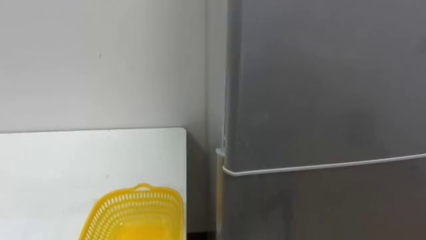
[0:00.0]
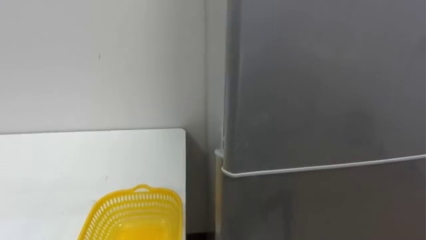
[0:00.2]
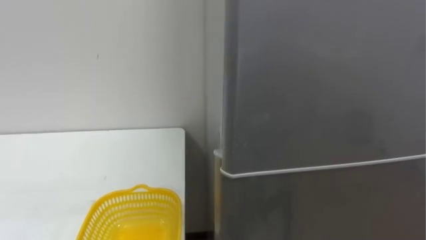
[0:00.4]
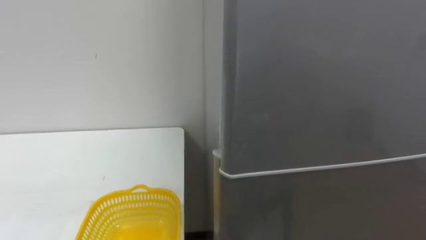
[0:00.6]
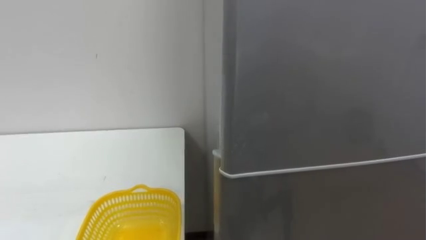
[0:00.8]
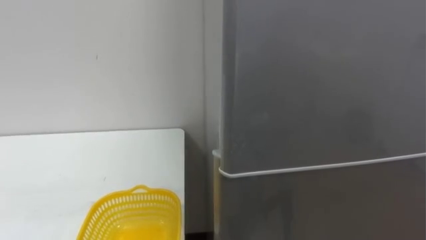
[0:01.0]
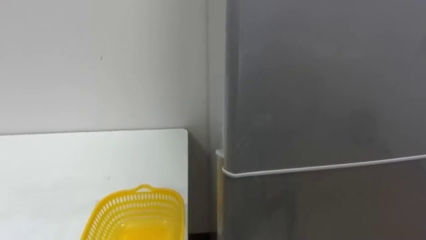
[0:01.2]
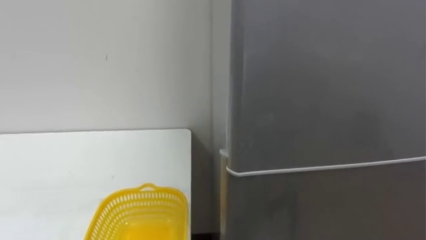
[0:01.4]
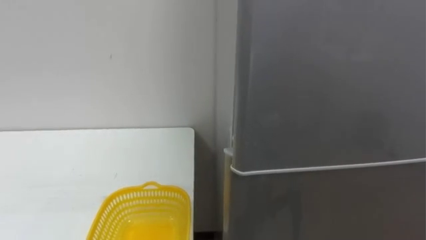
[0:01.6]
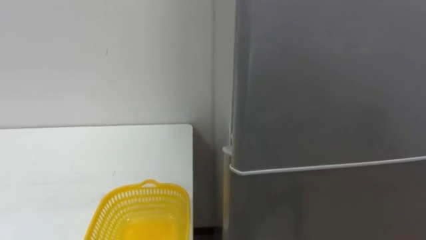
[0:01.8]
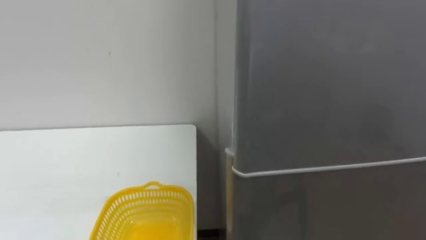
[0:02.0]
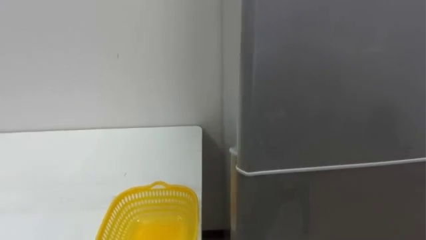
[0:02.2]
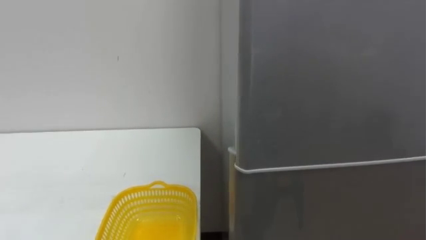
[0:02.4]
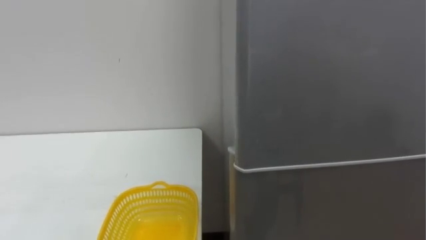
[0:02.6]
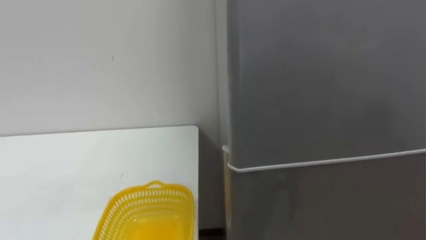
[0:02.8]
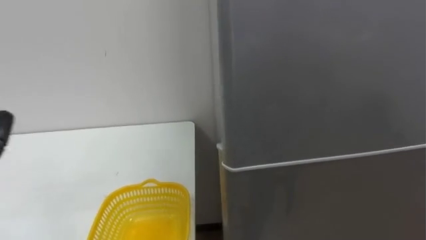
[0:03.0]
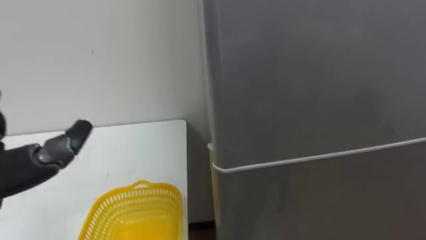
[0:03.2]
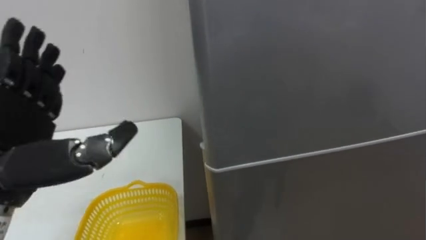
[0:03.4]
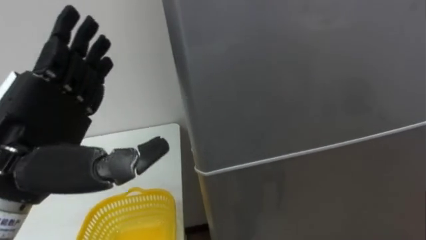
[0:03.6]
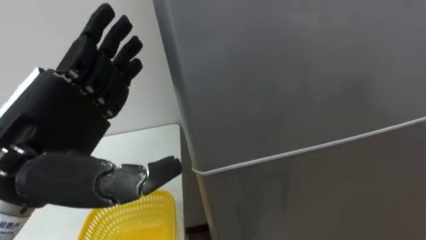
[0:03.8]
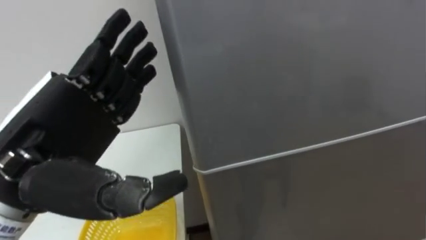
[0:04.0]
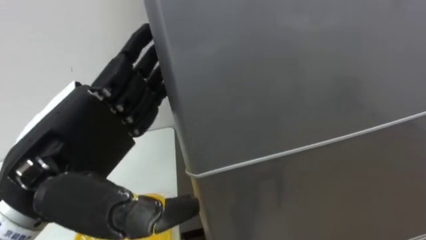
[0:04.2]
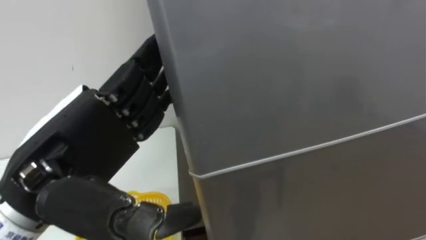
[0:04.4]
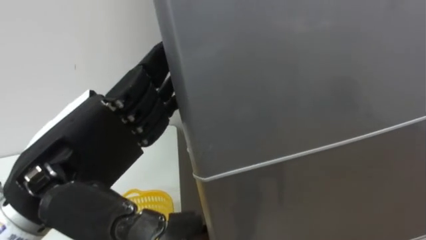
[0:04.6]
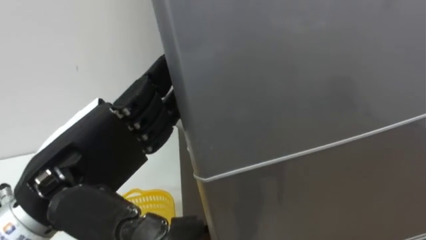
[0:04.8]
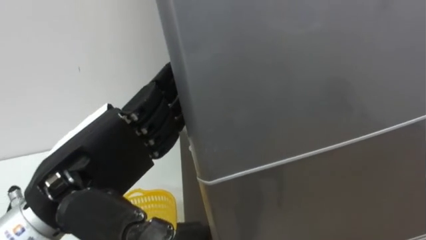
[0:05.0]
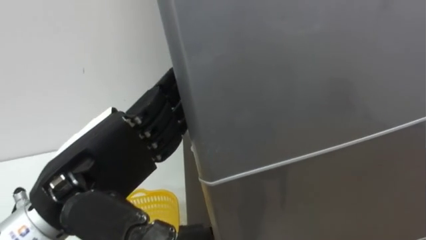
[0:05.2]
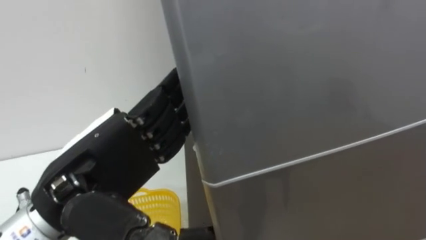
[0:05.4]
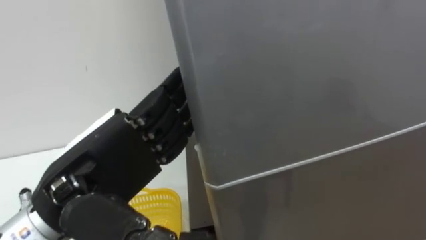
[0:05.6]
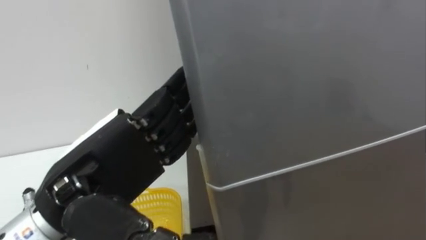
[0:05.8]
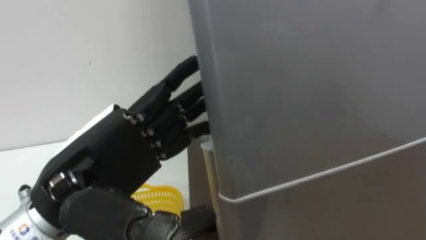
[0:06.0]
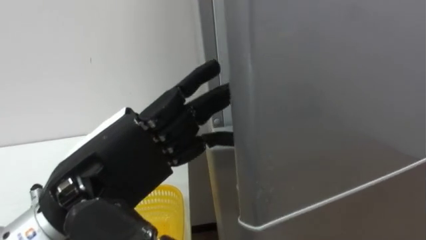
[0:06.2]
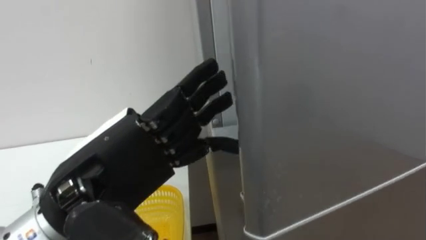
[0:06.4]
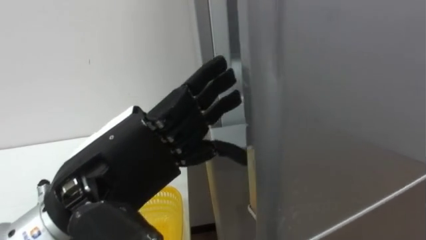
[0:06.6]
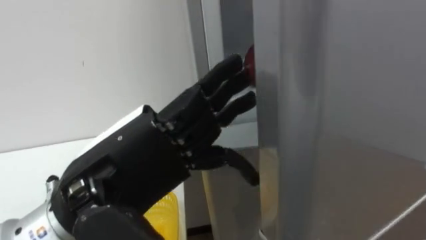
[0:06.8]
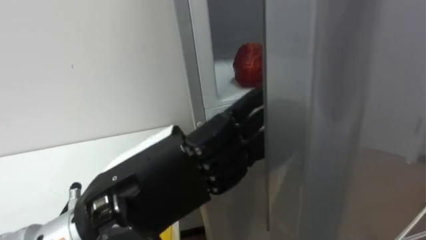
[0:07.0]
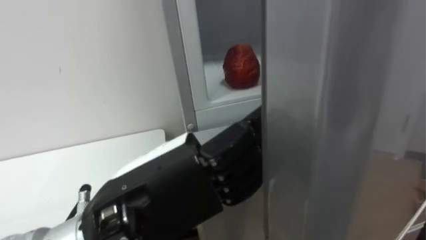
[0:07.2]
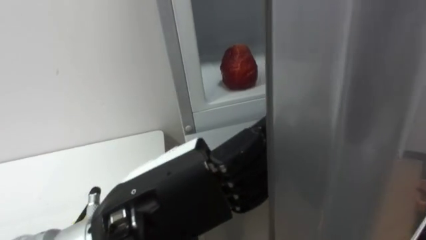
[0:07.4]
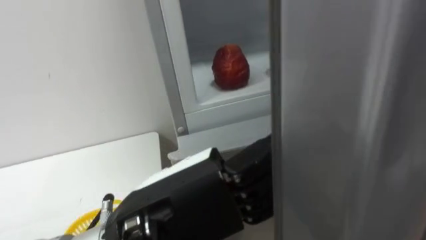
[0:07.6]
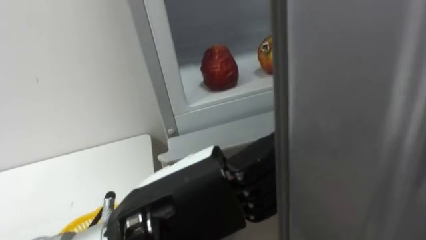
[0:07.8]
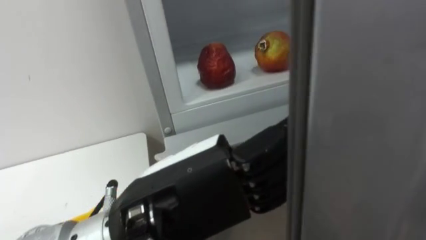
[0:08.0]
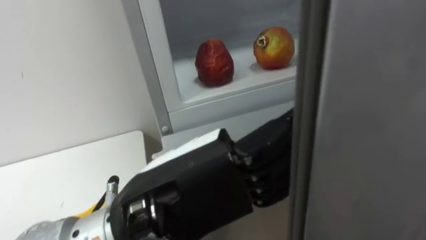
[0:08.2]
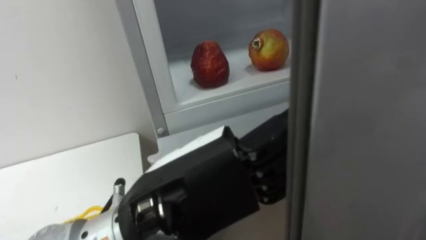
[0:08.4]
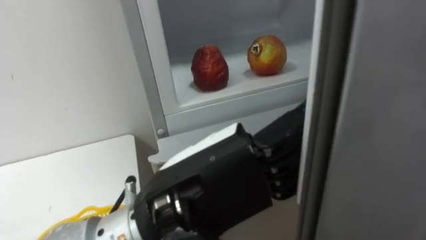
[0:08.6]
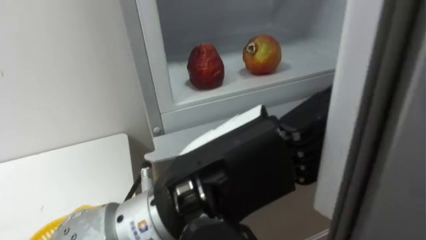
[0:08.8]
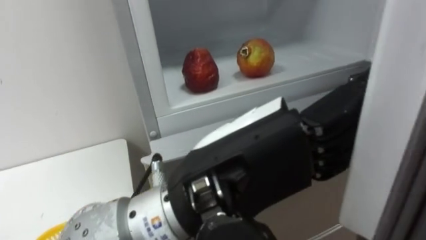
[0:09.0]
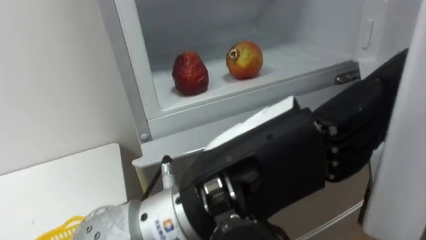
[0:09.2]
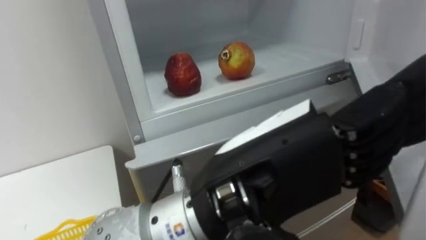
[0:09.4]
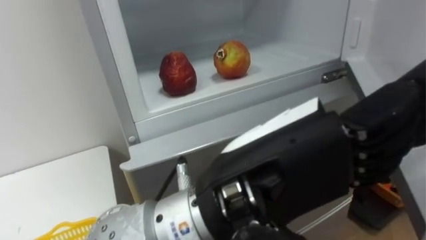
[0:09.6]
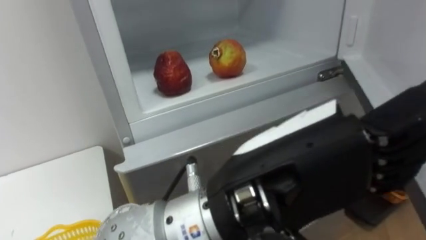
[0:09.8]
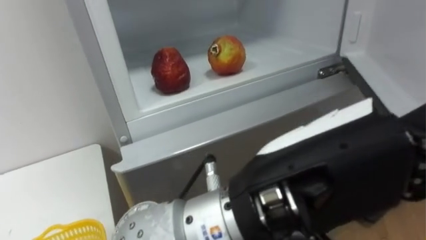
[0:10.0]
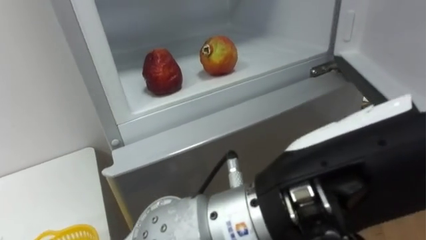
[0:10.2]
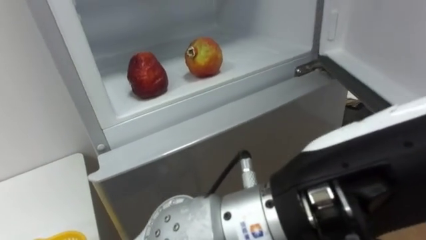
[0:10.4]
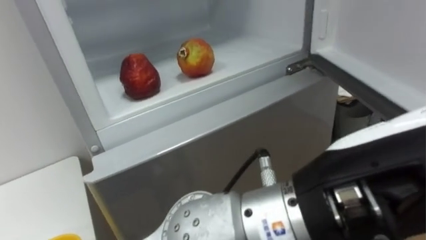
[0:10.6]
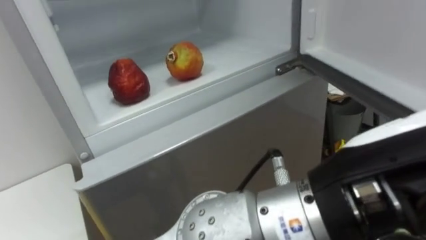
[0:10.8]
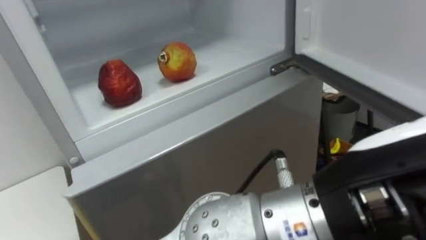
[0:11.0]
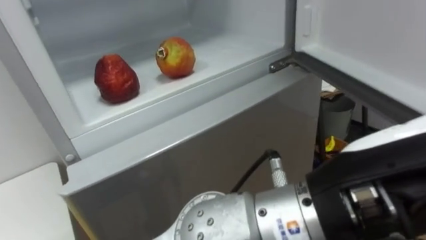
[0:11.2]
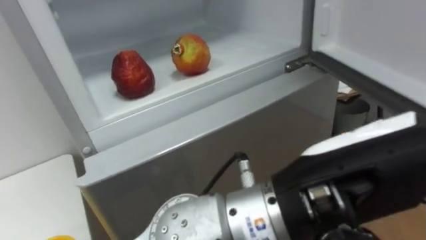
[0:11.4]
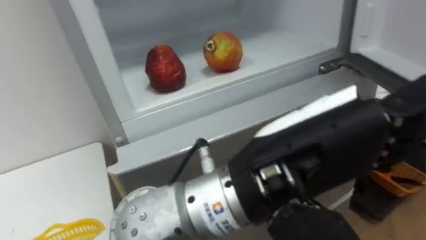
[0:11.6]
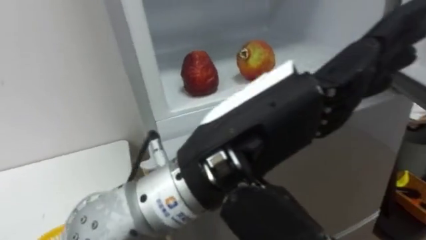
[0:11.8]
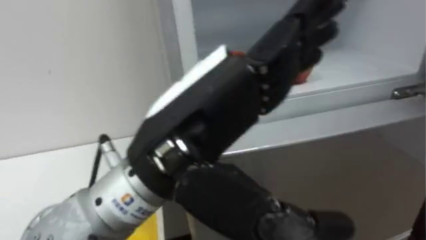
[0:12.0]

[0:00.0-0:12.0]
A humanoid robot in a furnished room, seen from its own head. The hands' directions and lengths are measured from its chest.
Task of the whole recording: Open the refrigerator door, take out the apple and the pomegranate, place them in the fruit basket on the left, and close the refrigerator door.
0:06.0 to 0:07.6: The left hand shifts some 10 cm to the right.
0:07.6 to 0:09.0: The left hand goes approximately 5 cm to the right.
0:09.0 to 0:10.4: The left hand heads to the right, covering some 5 cm.
0:10.4 to 0:12.0: The left hand moves to the left and forward, approximately 10 cm.

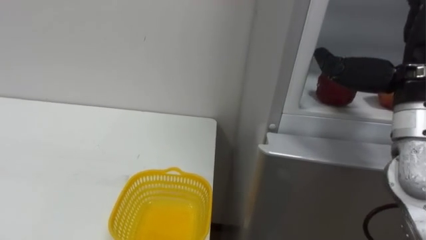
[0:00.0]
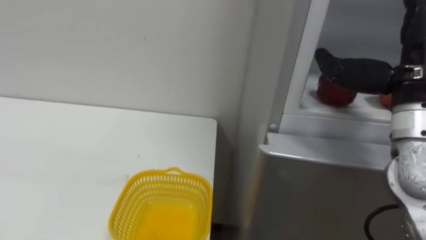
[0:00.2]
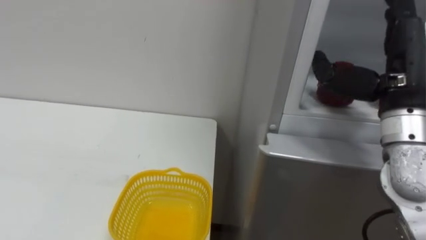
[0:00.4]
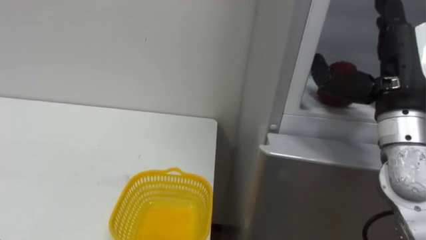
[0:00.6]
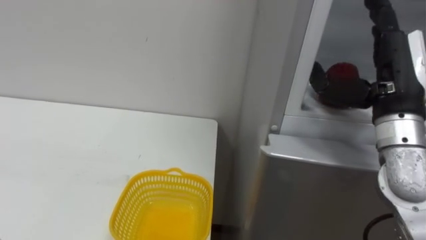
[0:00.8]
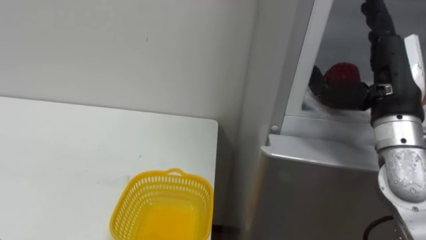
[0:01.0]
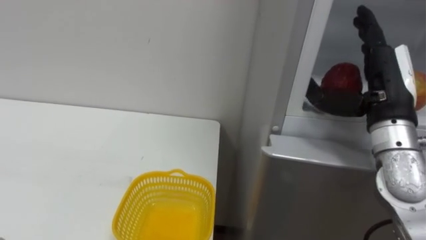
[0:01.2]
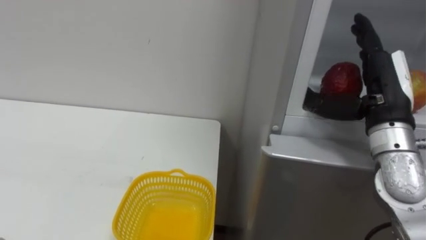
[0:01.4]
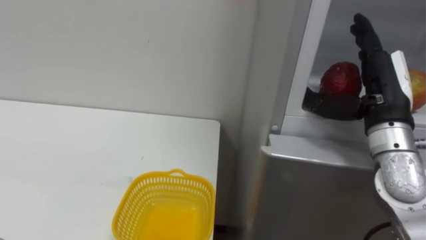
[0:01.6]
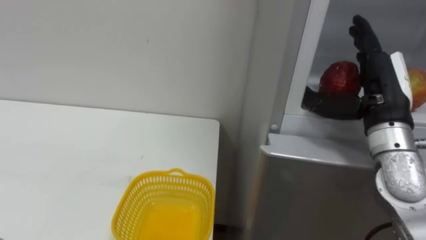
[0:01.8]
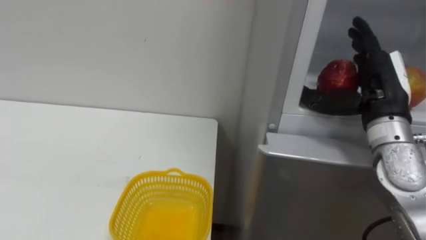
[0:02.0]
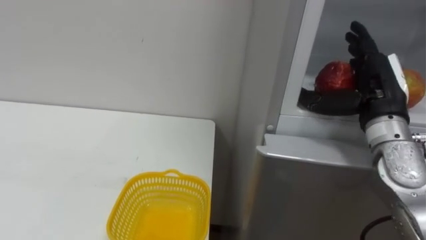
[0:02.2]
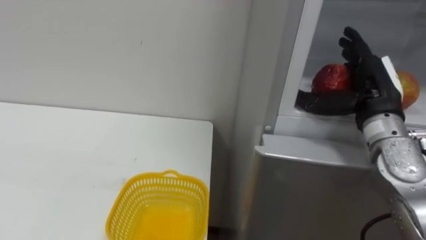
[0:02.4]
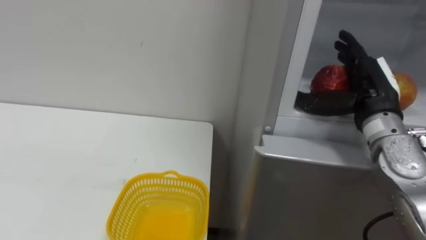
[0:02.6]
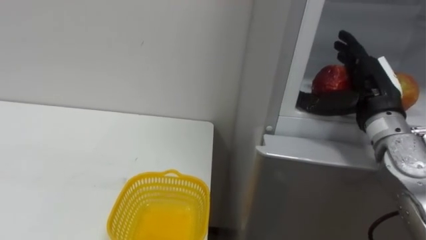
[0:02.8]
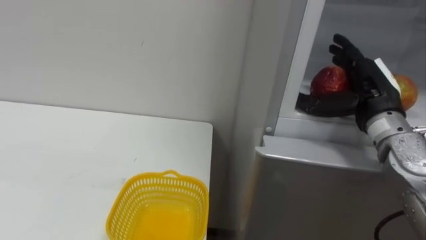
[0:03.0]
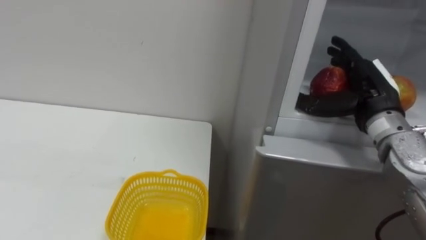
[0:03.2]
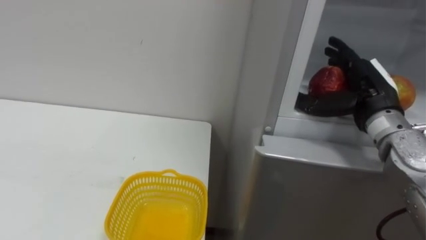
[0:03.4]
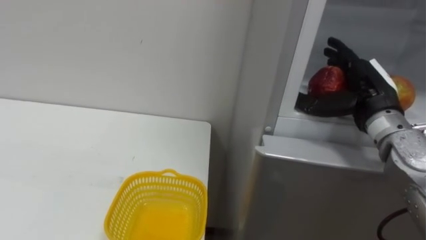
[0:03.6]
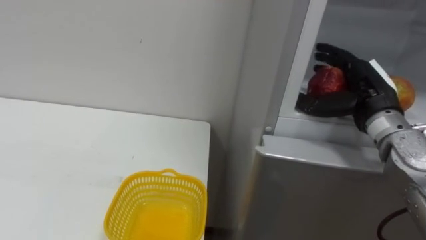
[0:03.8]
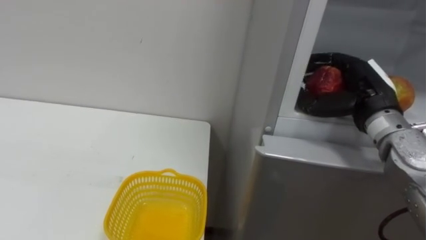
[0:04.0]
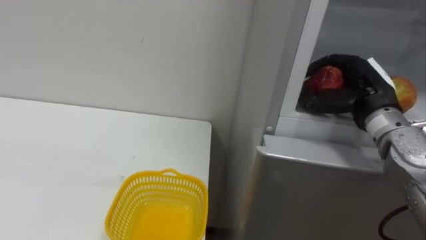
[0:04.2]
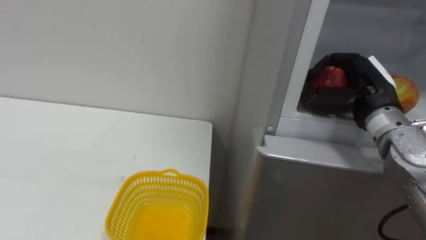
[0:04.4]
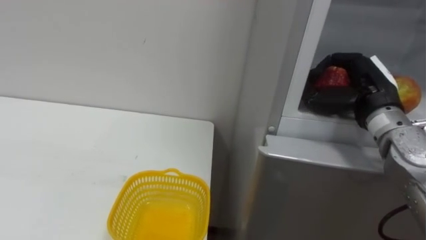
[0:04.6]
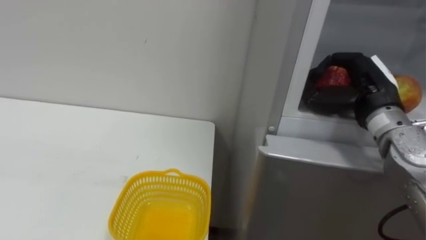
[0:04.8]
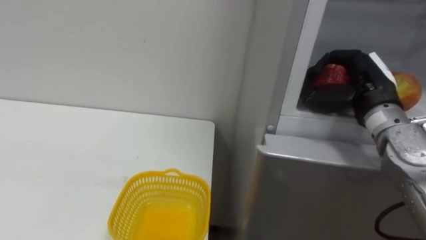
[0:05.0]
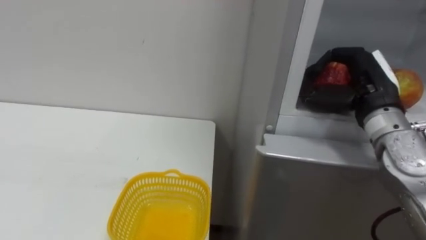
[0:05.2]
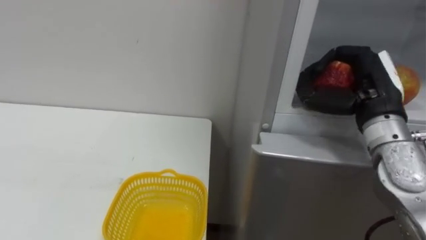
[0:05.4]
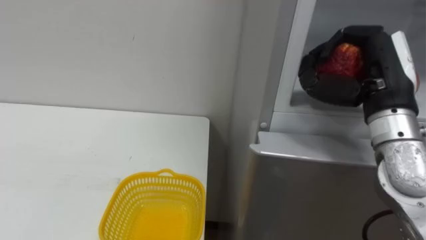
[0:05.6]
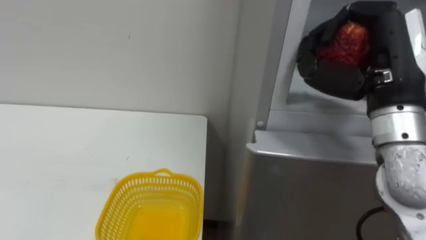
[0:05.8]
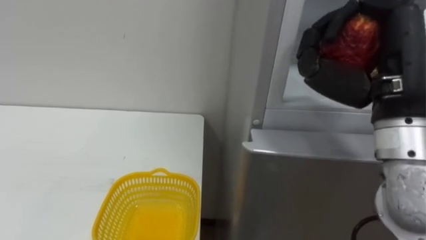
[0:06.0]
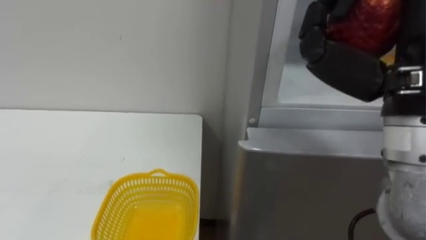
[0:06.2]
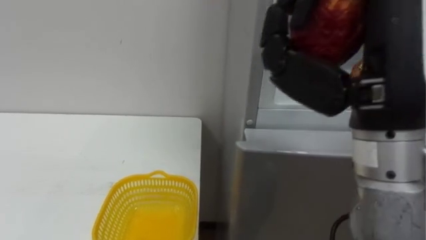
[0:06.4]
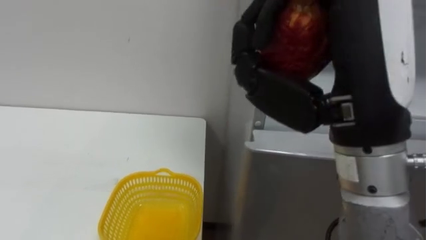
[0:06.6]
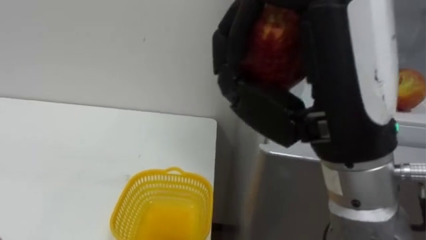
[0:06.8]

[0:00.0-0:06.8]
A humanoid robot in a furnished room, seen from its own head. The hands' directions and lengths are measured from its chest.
Task of the whole recording: Open the refrigerator door, take out the apple and the pomegranate, place them in the fruit basket on the left, and close the refrigerator door.
0:00.0 to 0:01.4: The right hand is displaced downward by some 5 cm.
0:02.8 to 0:04.0: The right hand closes its fingers.
0:05.4 to 0:06.8: The right hand goes some 20 cm backward, to the left and upward.
